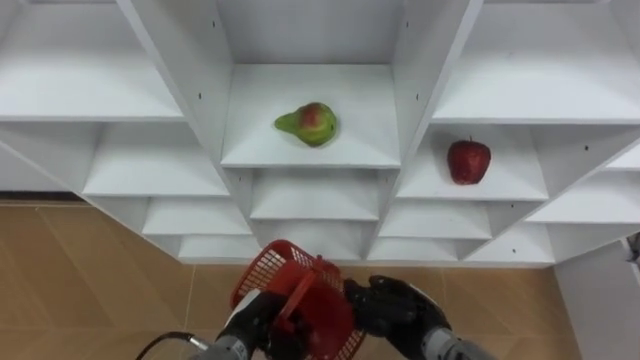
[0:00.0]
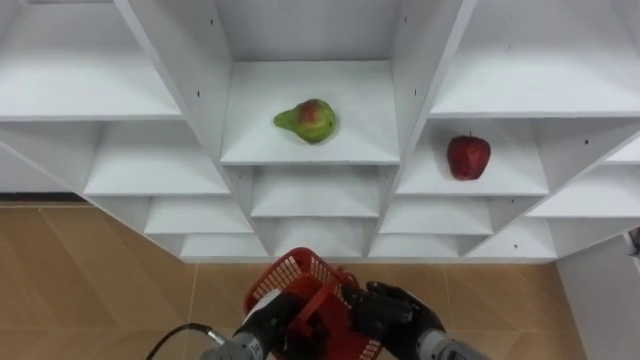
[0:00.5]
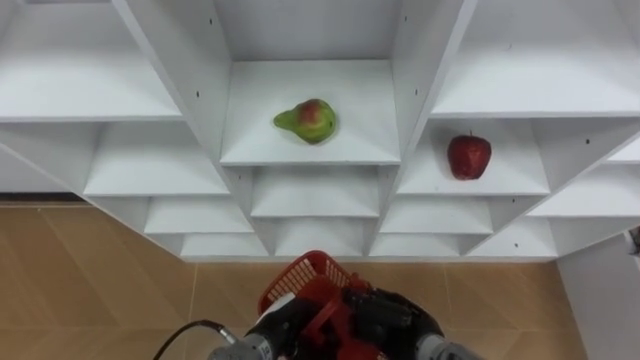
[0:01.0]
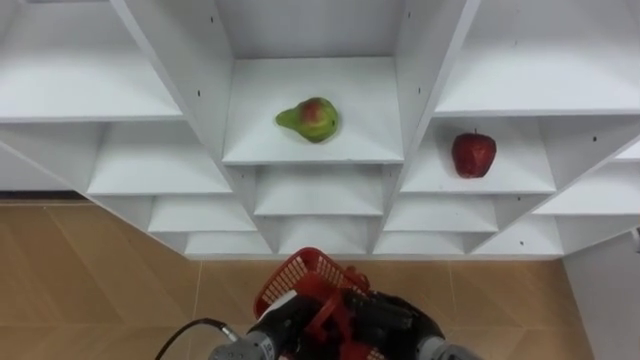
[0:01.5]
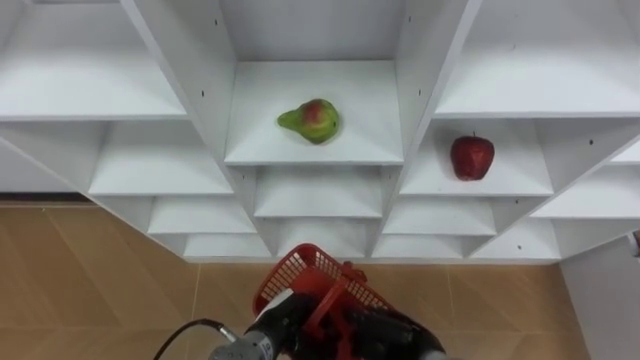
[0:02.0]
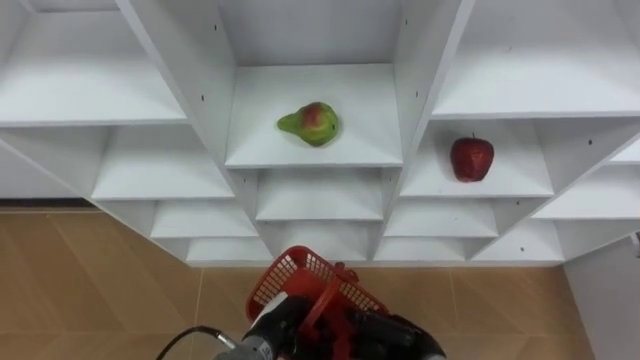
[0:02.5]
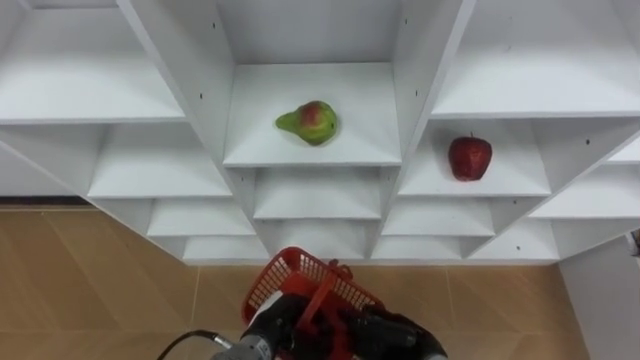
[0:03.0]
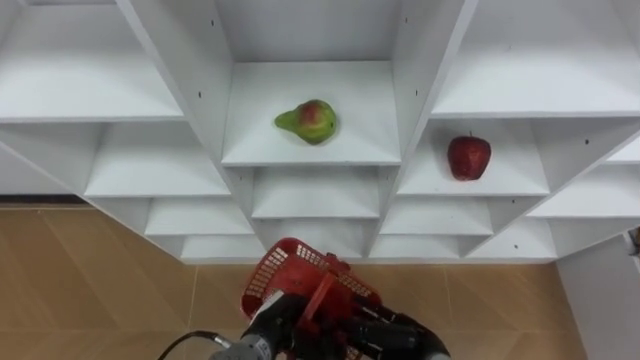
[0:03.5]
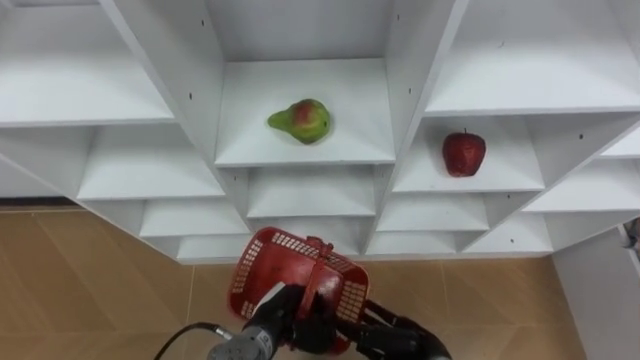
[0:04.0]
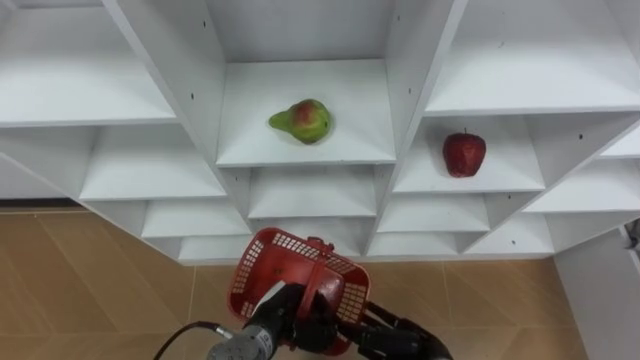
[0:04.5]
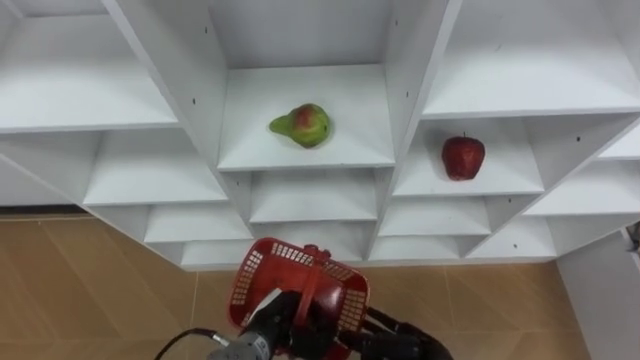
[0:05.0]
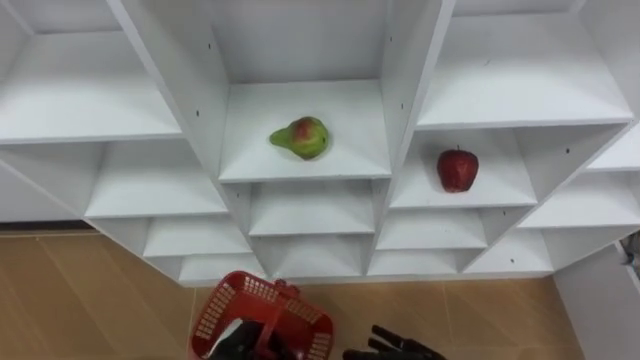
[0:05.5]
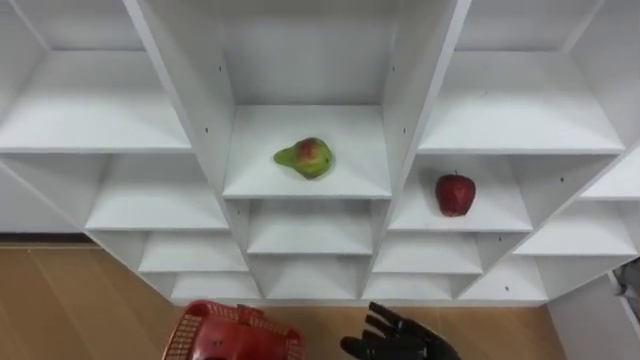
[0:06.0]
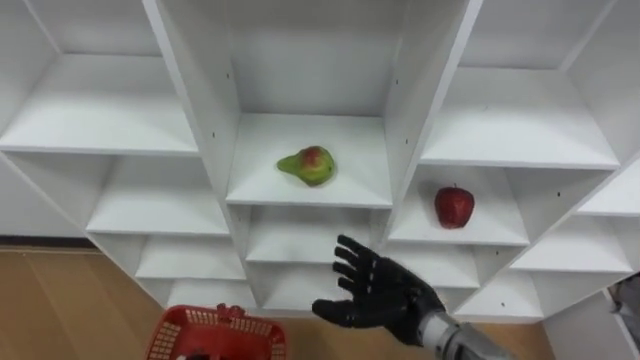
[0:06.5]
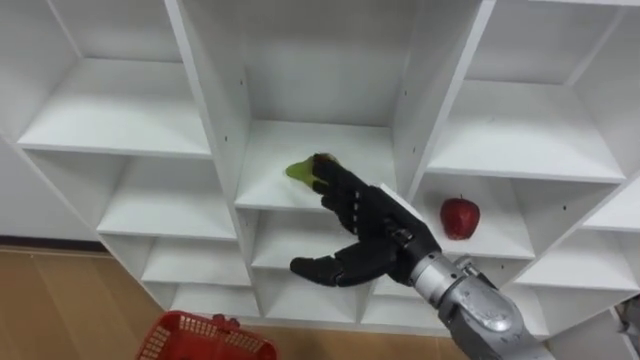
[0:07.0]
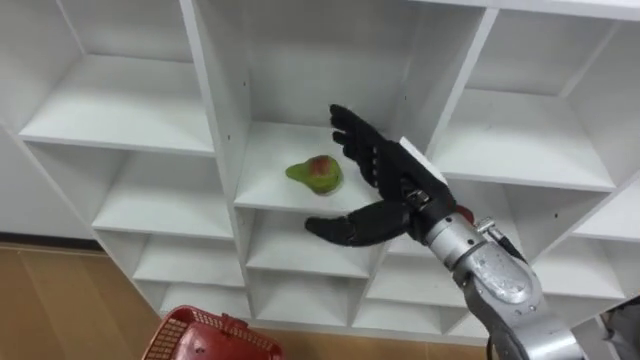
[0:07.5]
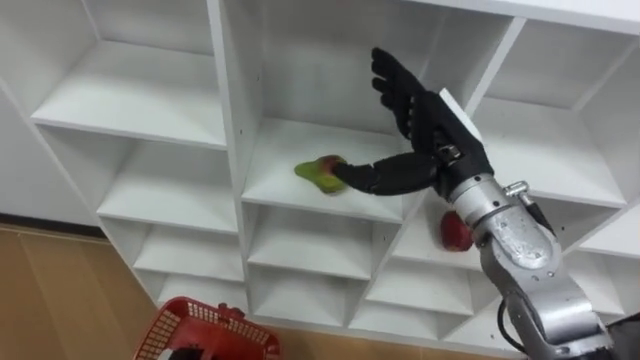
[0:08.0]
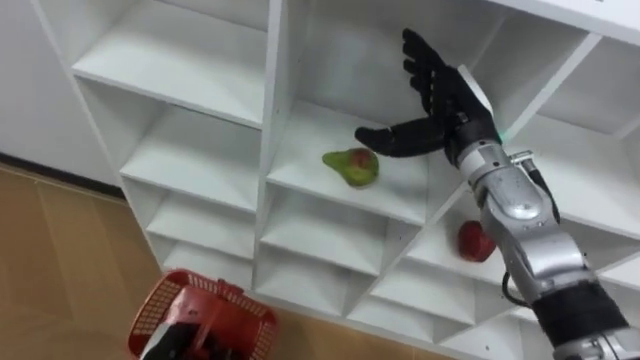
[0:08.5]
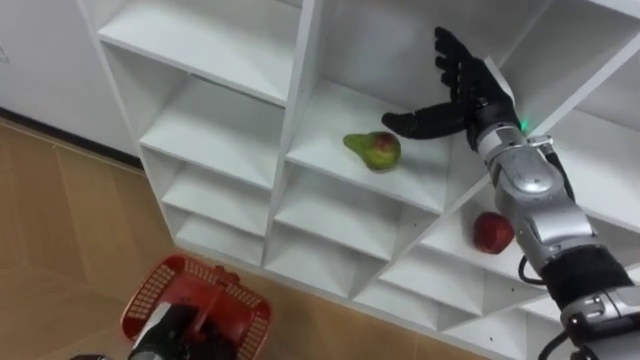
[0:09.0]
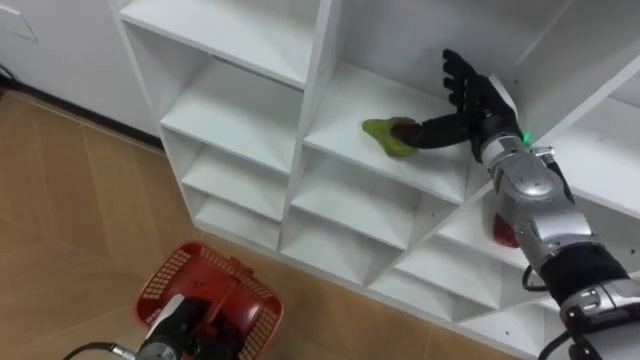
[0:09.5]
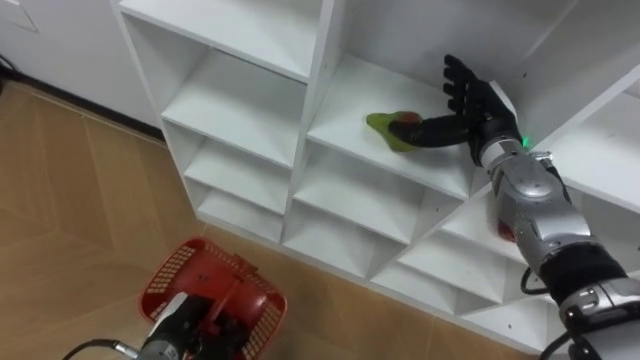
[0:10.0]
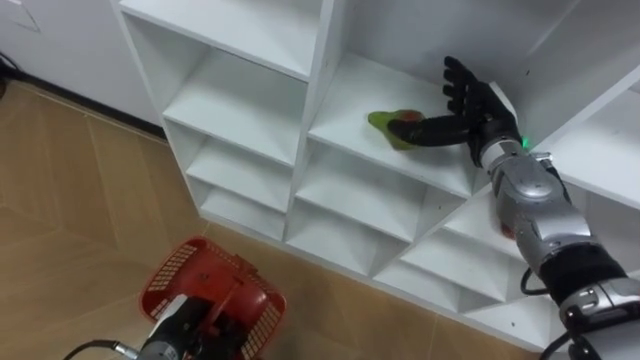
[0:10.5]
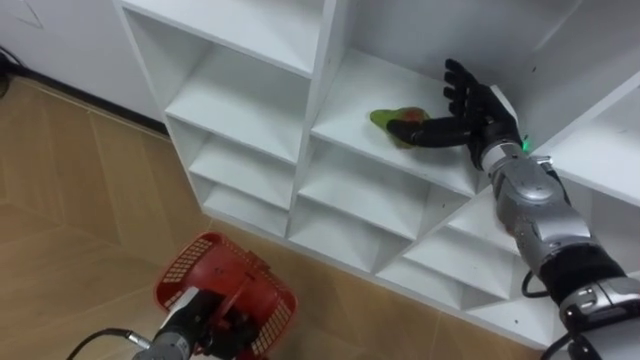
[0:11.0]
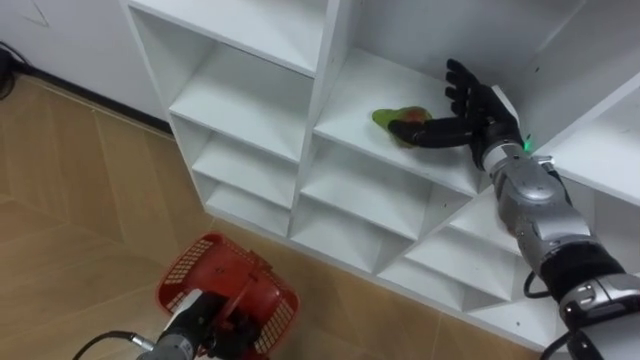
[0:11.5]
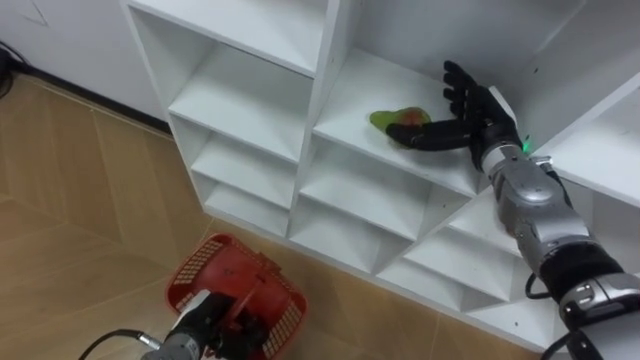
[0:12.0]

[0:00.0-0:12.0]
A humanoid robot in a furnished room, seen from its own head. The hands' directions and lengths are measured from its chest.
Task of the whole recording: Hold the basket and collect the fruits from 3 different cells of the closet into it.
0:02.0 to 0:04.0: The right hand opens up.
0:06.0 to 0:08.0: The right hand goes some 30 cm upward and forward.
0:08.0 to 0:10.0: The right hand is displaced forward, to the right and downward by about 10 cm.
0:10.0 to 0:12.0: The hands stay close to where they were, moving slightly.

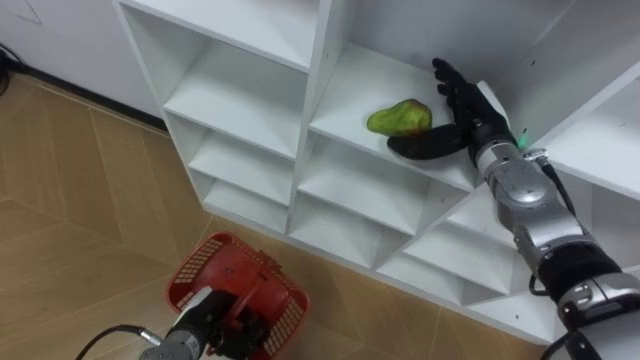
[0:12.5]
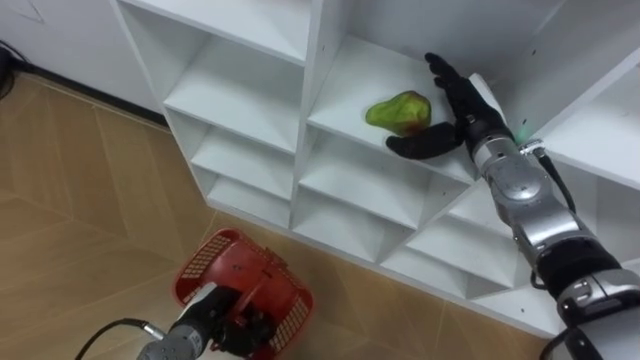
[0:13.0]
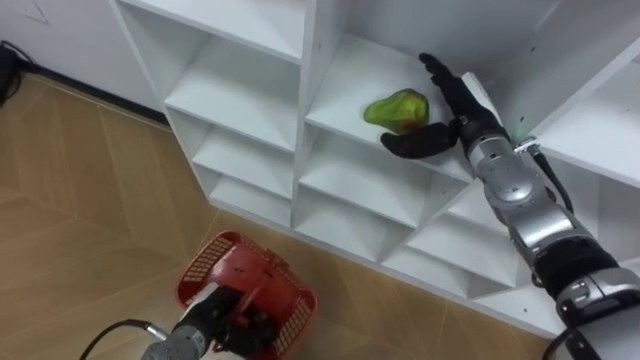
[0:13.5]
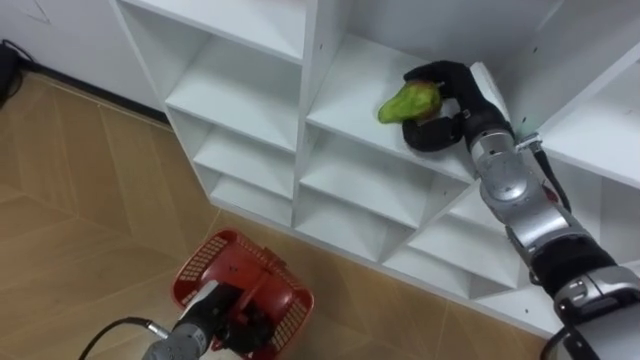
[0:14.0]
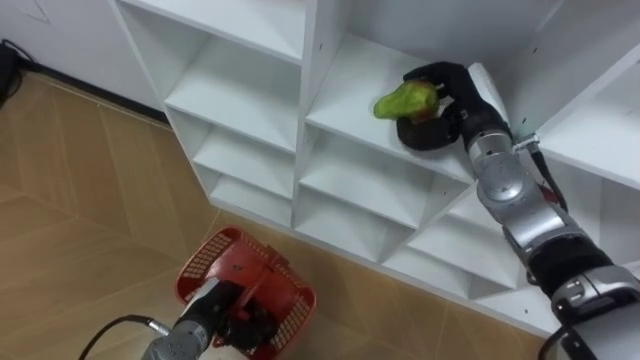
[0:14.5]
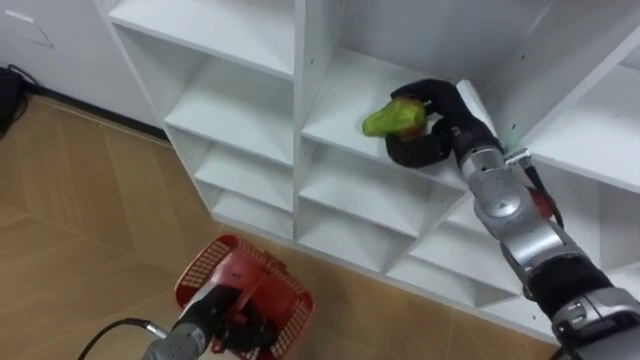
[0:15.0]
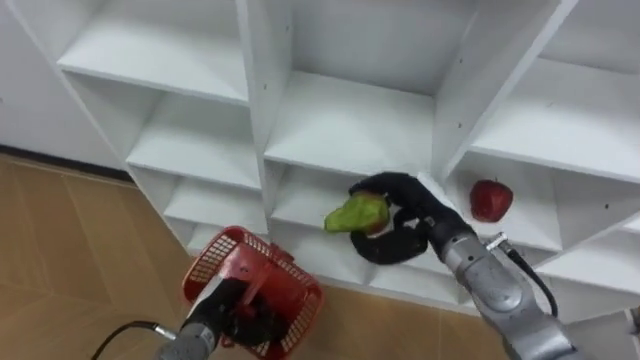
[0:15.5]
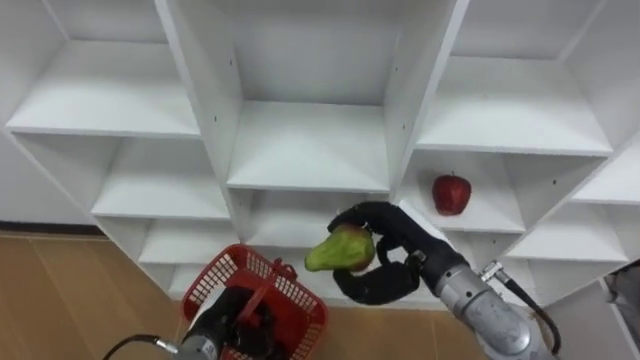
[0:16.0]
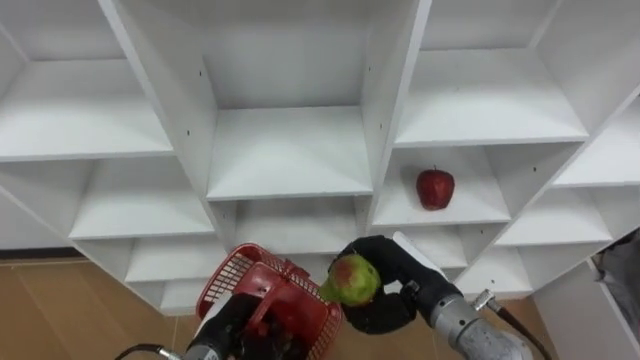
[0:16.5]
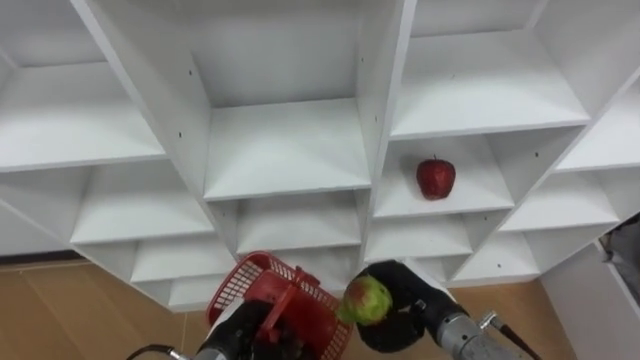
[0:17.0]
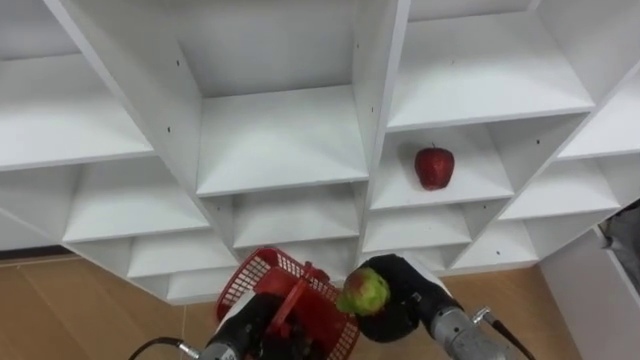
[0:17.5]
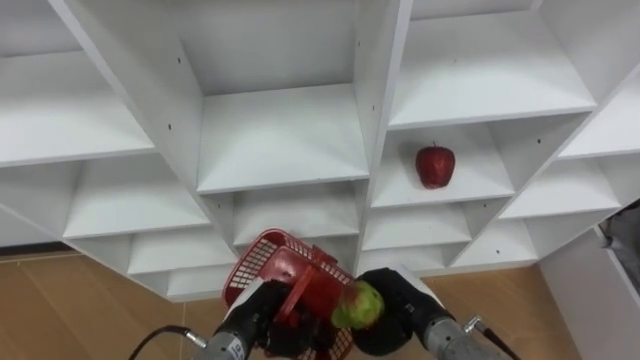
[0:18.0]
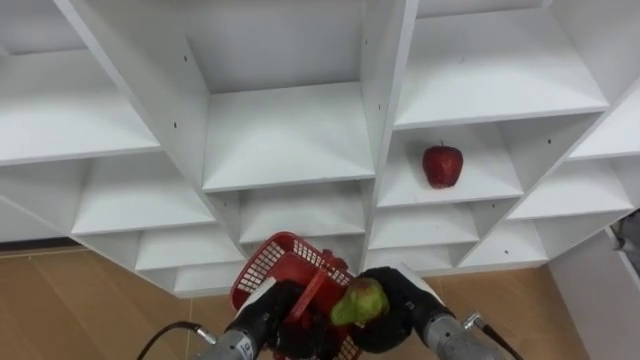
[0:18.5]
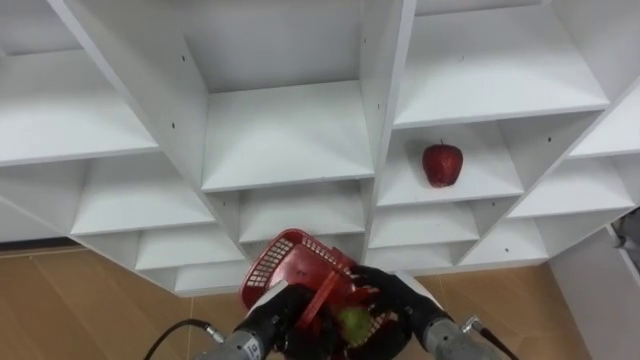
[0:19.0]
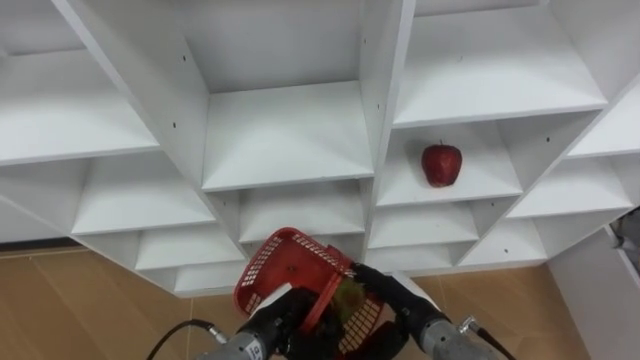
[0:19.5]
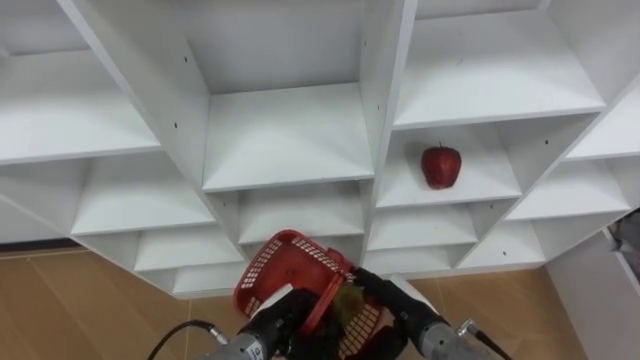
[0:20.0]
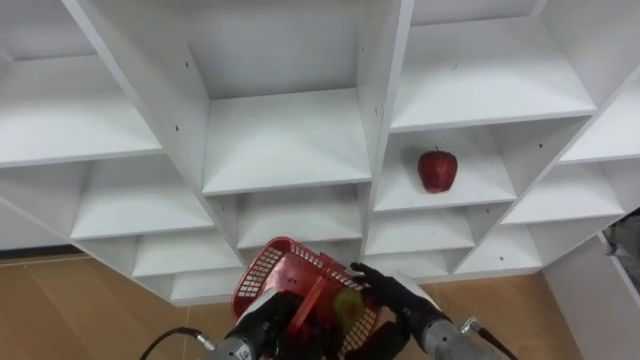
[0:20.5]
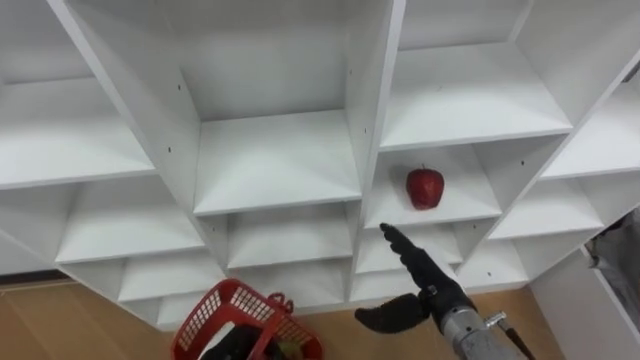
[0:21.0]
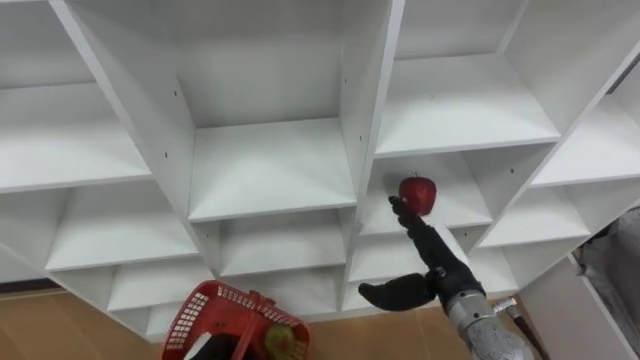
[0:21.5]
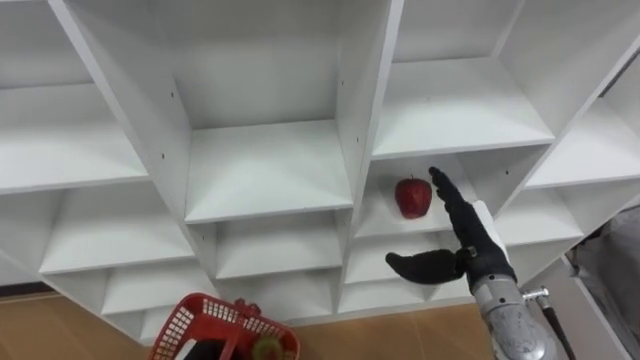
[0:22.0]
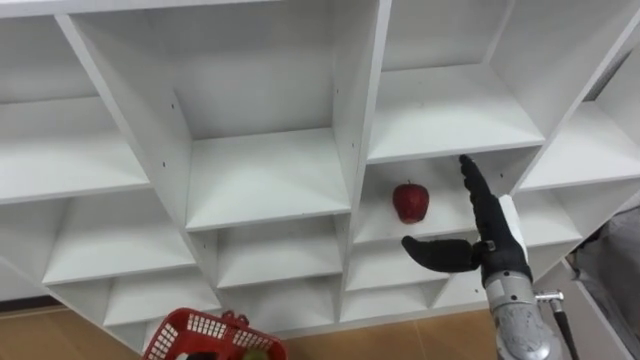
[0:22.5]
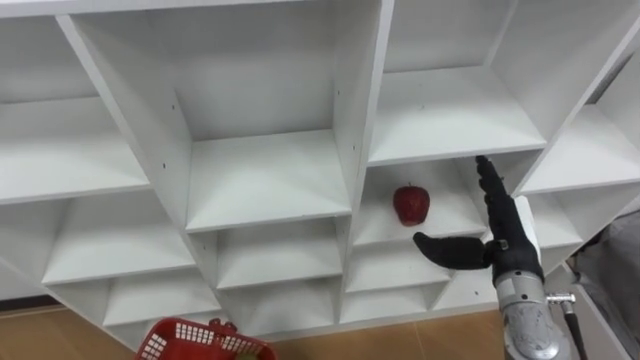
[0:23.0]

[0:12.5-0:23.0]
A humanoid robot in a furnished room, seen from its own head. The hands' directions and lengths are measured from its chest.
Task of the whole recording: Hold the basket and collect the fruits from 3 different cells of the closet into it.
0:12.5 to 0:14.5: The right hand closes its fingers.
0:14.5 to 0:16.5: The right hand heads backward and downward, covering some 20 cm.
0:16.5 to 0:19.0: The left hand is displaced to the right by about 5 cm; the right hand is displaced downward by some 10 cm, and opens.
0:19.0 to 0:21.0: The left hand shifts about 5 cm to the left.
0:21.0 to 0:23.0: The right hand is displaced to the right and upward by approximately 10 cm.
